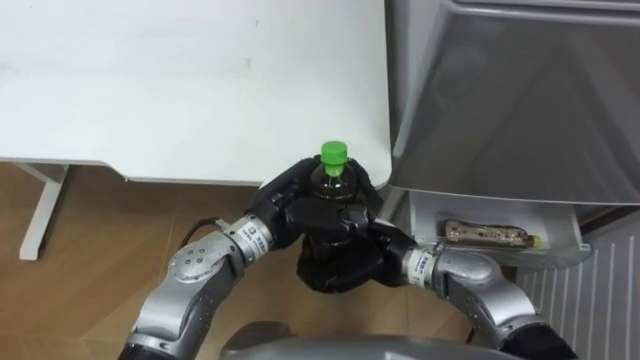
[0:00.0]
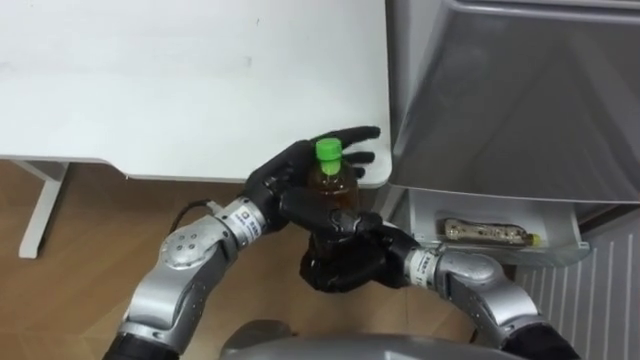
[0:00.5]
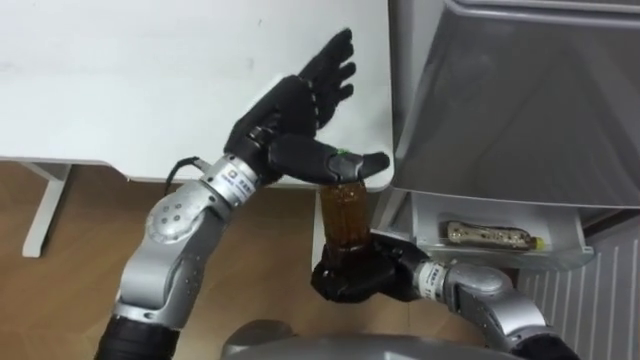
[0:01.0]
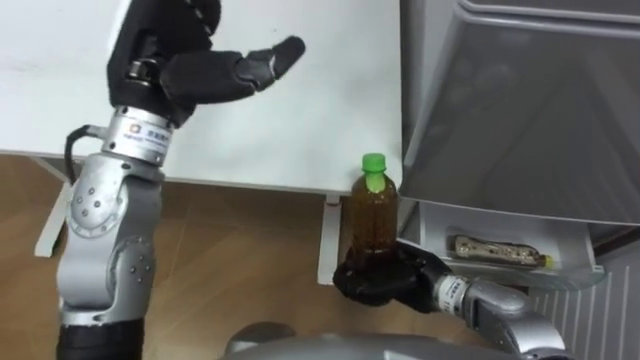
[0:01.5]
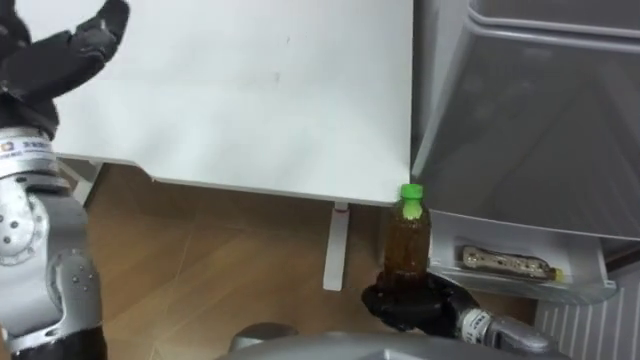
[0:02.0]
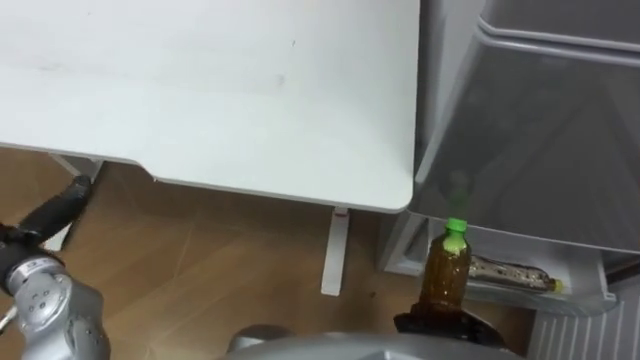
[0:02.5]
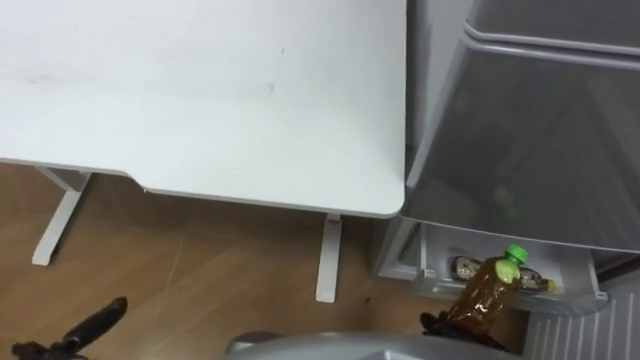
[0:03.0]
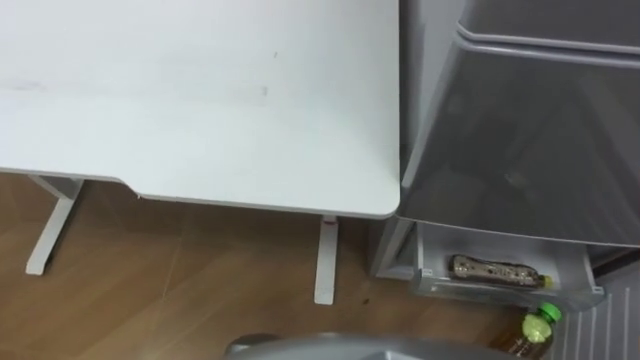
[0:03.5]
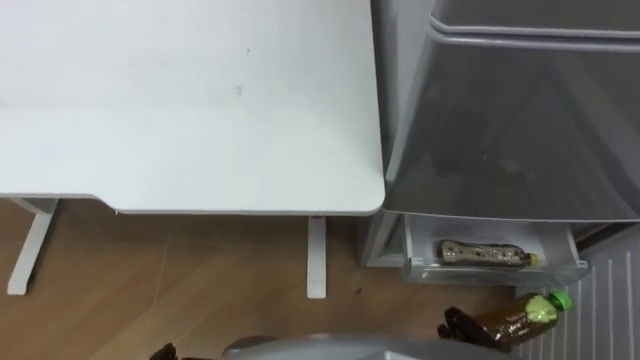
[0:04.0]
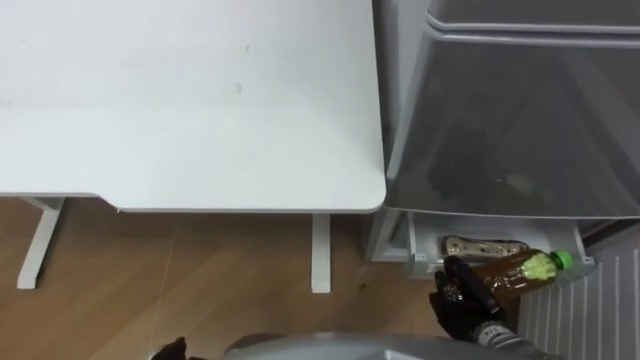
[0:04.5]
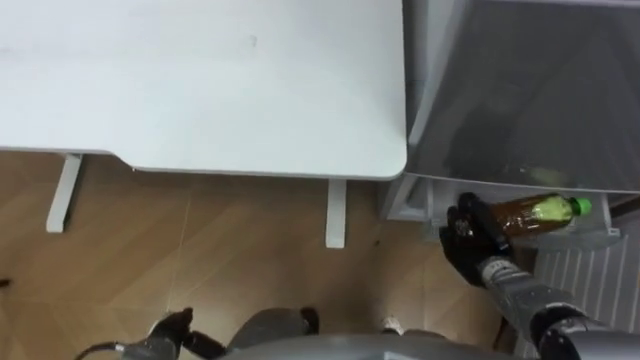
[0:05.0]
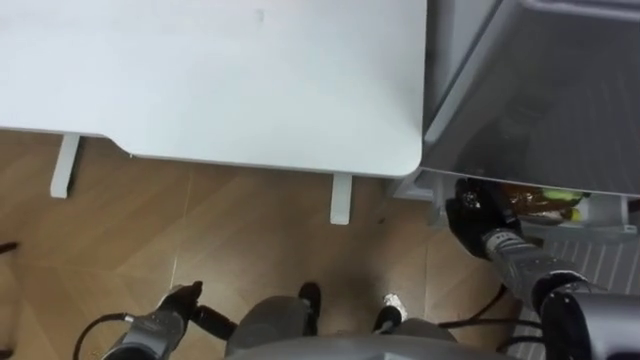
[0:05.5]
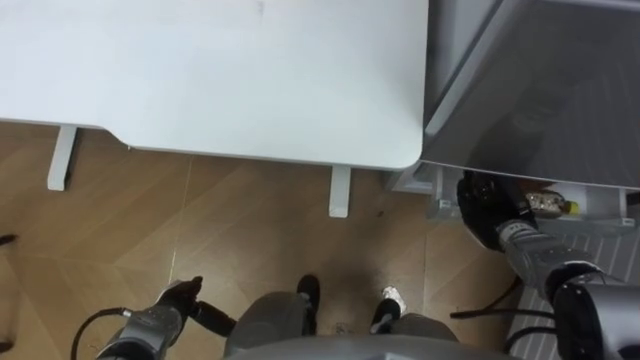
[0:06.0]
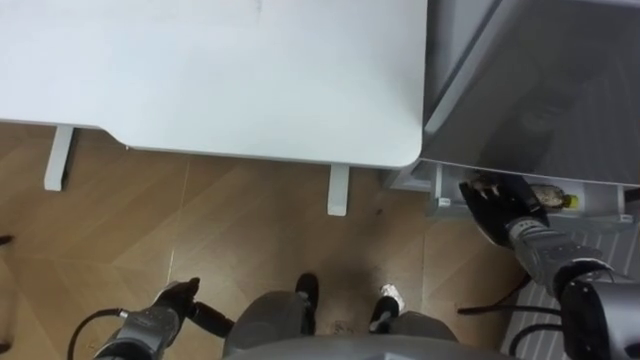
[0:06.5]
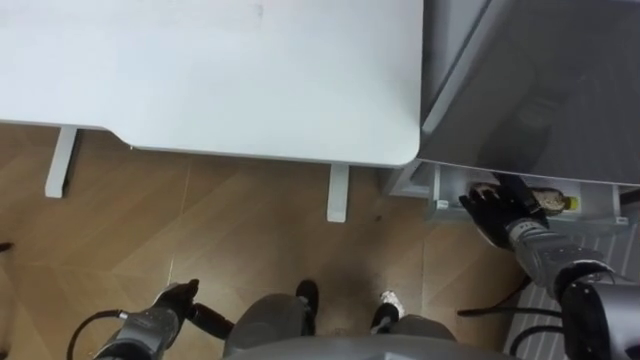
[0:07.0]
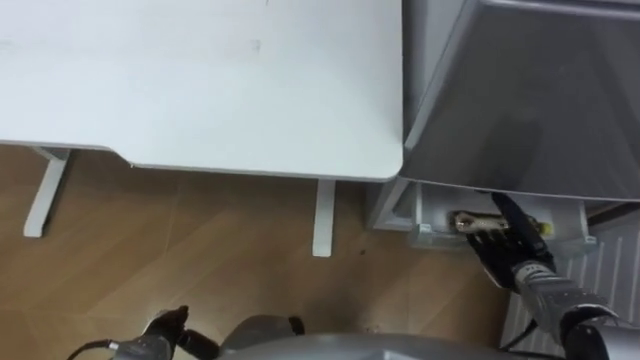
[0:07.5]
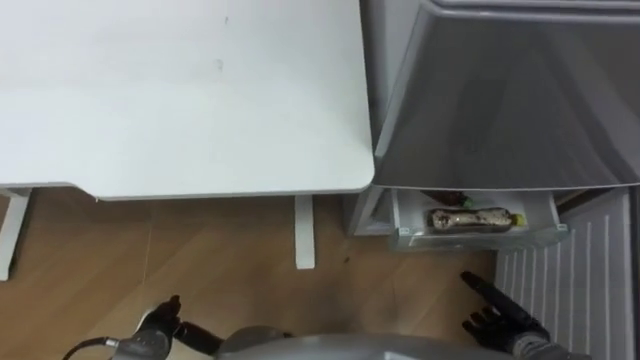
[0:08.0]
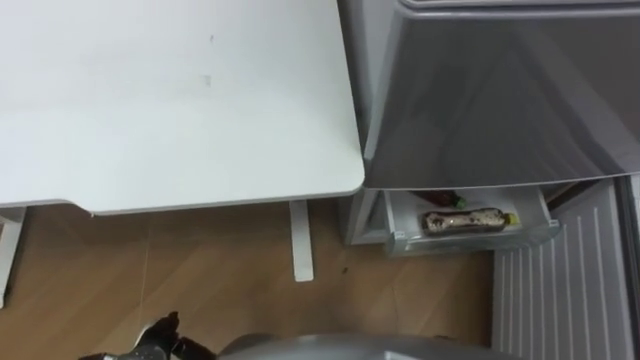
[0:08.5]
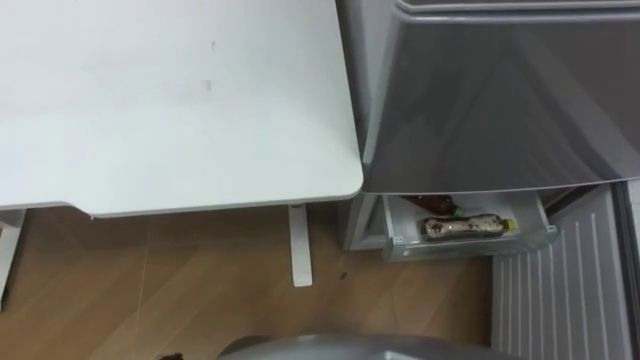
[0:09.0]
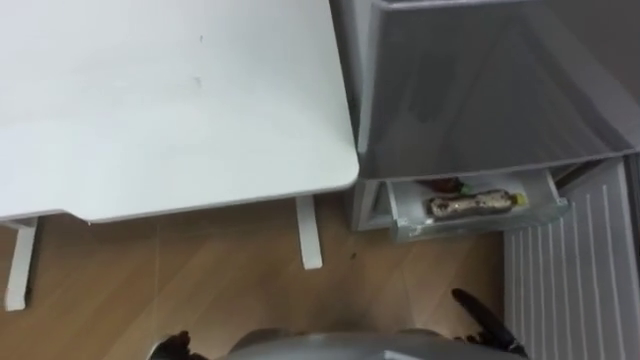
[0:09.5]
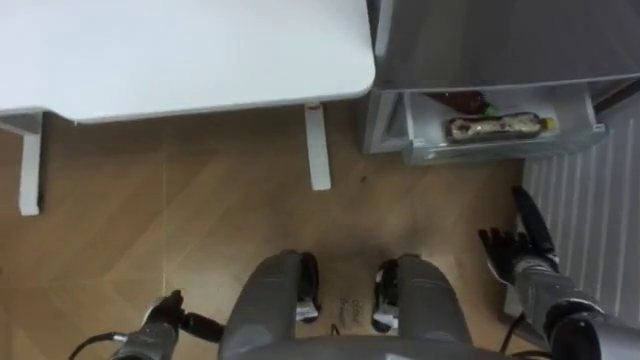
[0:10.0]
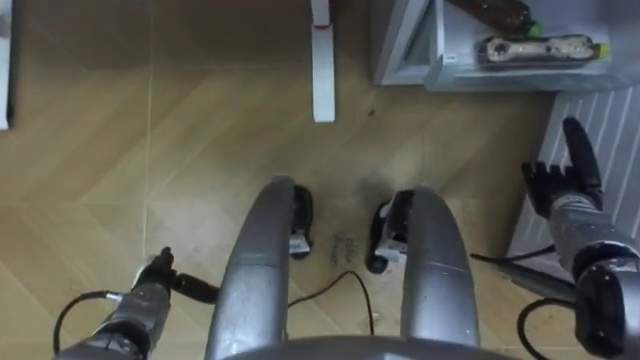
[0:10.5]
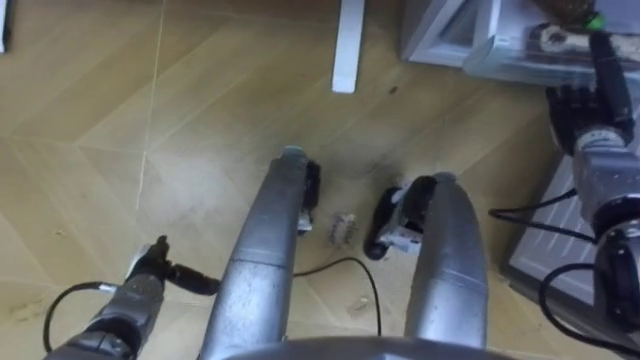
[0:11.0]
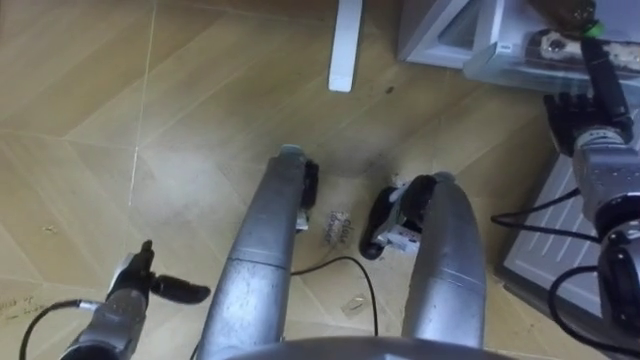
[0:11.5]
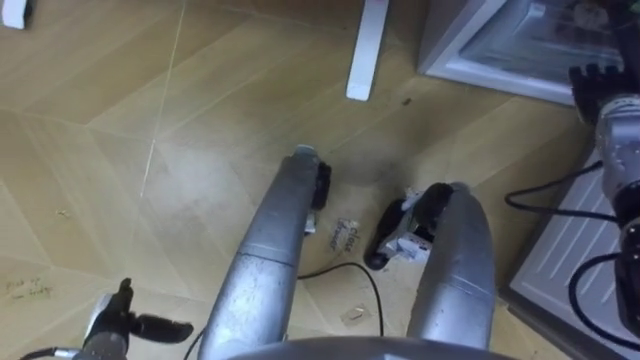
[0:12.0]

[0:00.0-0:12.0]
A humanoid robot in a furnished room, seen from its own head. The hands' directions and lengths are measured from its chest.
Task of the whole recording: Place the drink on the table on the bottom shelf of the refrigerator, then close the drawer and the refrigerator door.
0:00.0 to 0:02.0: The right hand shifts approximately 15 cm to the right, downward and backward.
0:06.0 to 0:08.0: The right hand is displaced backward by roughly 15 cm, and opens.
0:10.0 to 0:12.0: The left hand travels to the left by some 5 cm, and reaches some 10 cm forward, then returns. Meanwhile the right hand goes approximately 25 cm upward, forward and to the right.

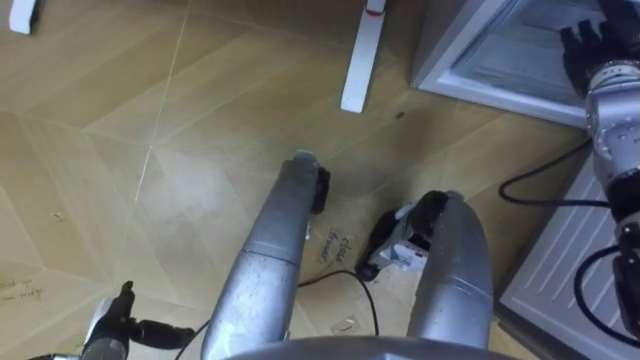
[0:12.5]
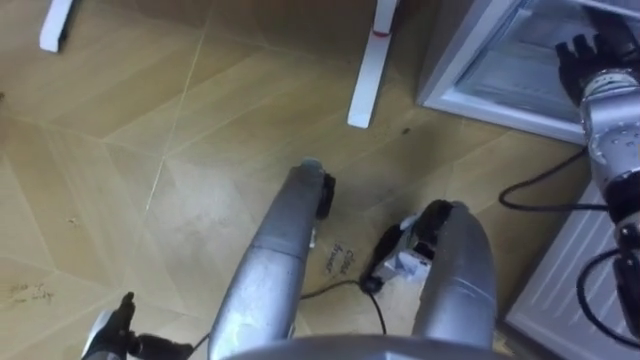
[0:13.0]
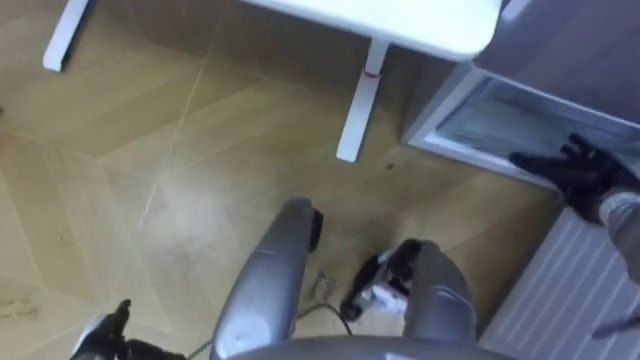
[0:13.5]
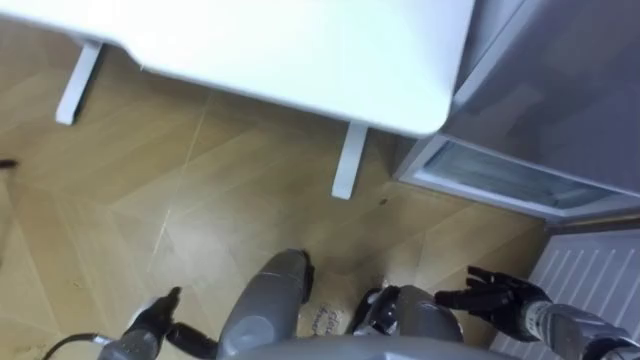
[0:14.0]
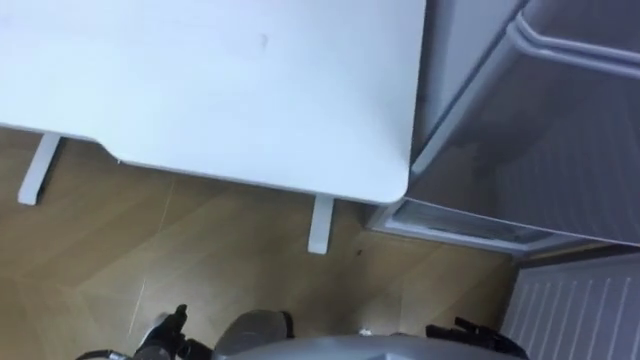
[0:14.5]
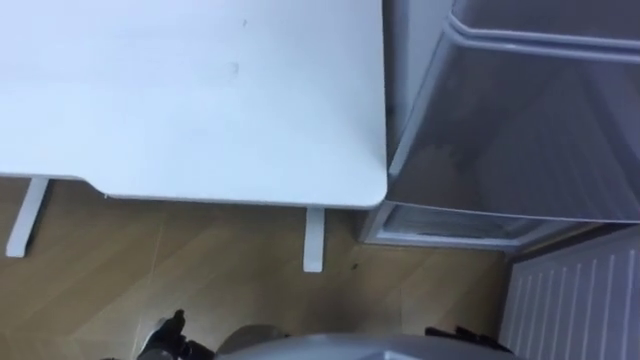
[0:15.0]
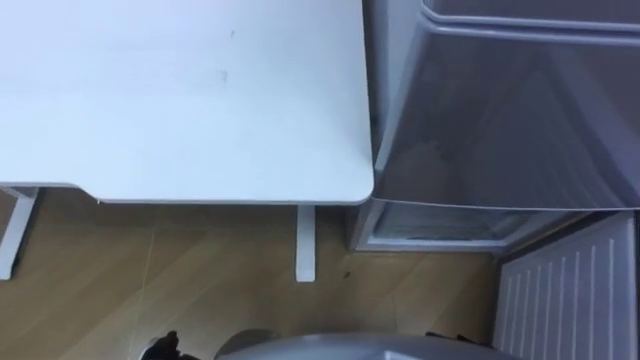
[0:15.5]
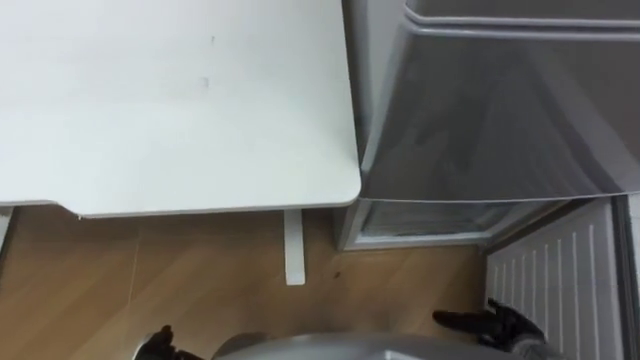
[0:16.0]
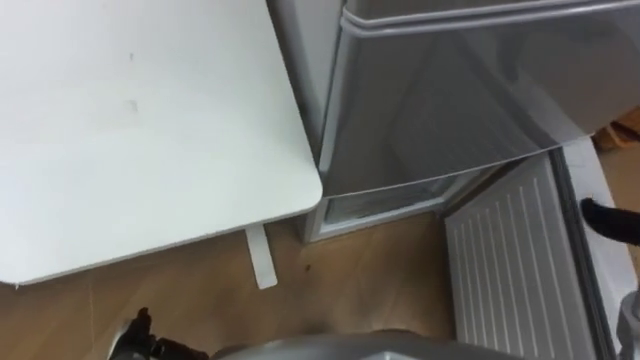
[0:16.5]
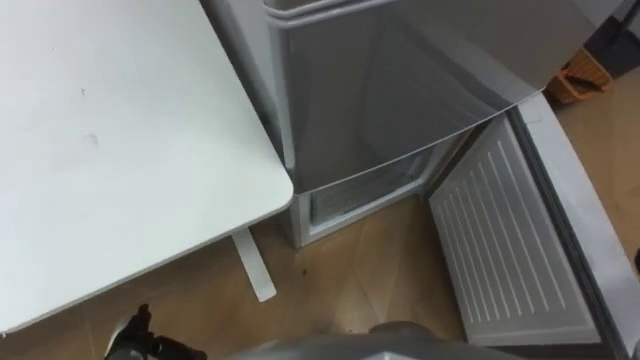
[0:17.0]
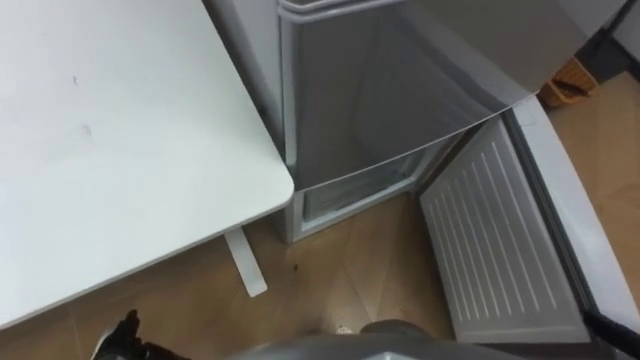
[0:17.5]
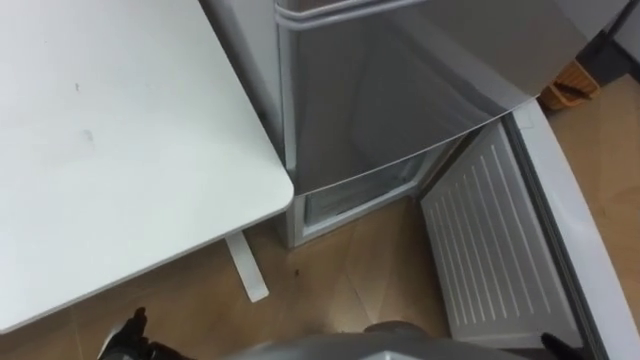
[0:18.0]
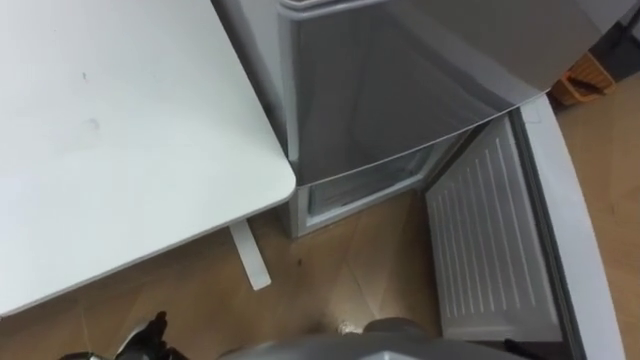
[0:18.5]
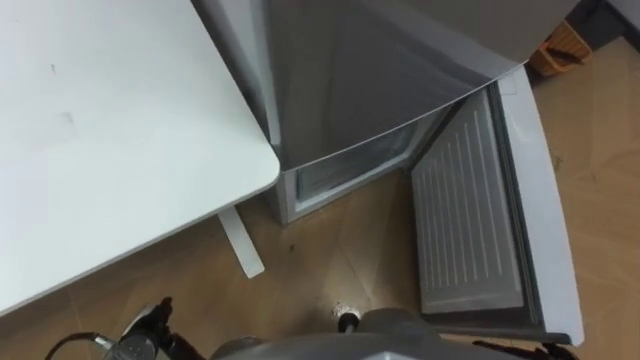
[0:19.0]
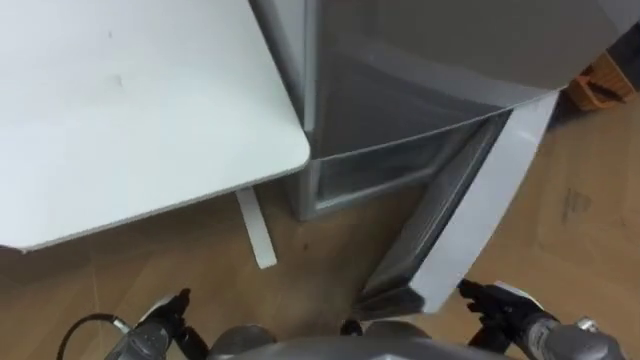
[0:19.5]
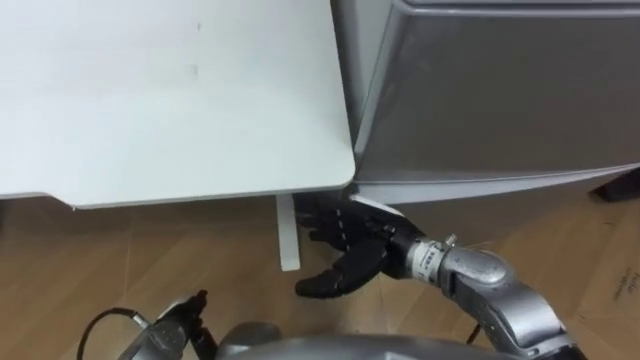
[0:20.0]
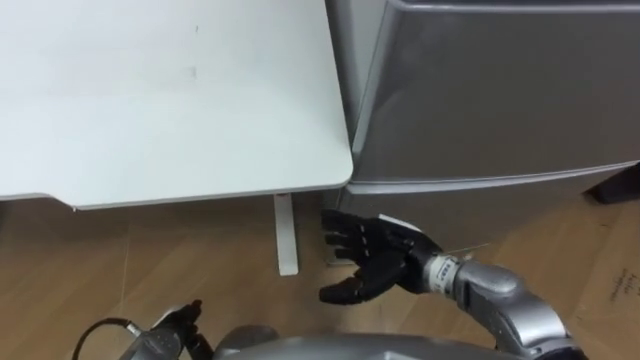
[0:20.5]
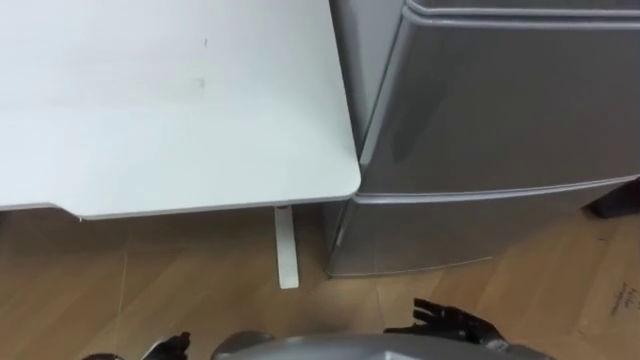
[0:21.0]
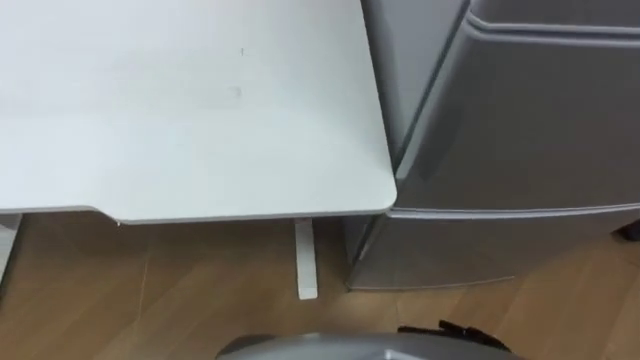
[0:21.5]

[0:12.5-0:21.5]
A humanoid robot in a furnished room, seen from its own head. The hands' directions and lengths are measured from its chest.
Task of the whole recording: Place the drink on the table on the bottom shelf of the refrigerator, then close the drawer and the refrigerator door.
0:12.5 to 0:14.5: The left hand is displaced to the right by some 5 cm. Meanwhile the right hand moves backward and downward, about 40 cm.
0:19.5 to 0:21.5: The robot faces roughly 15 degrees further to its left.
